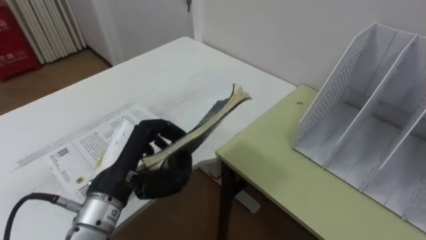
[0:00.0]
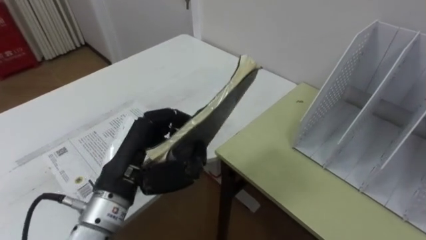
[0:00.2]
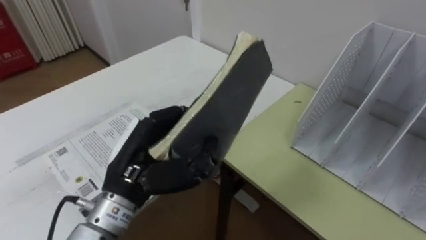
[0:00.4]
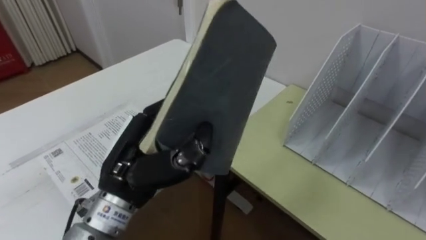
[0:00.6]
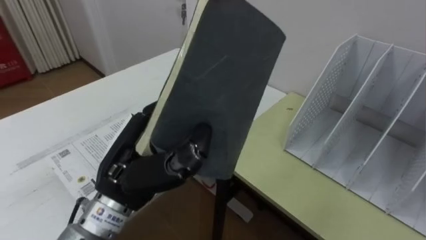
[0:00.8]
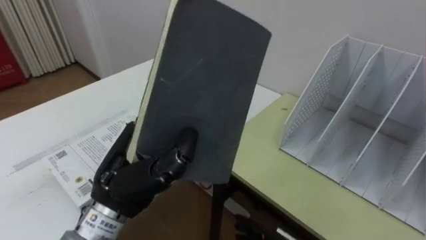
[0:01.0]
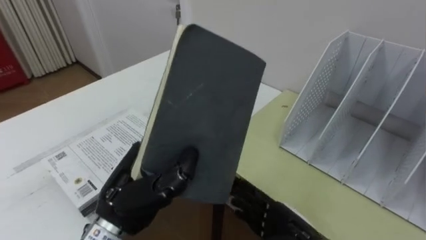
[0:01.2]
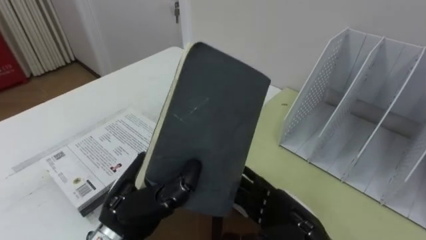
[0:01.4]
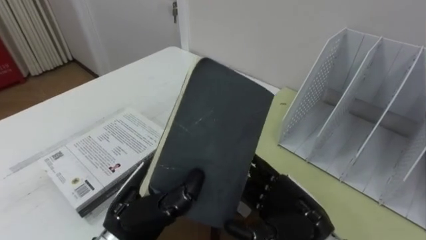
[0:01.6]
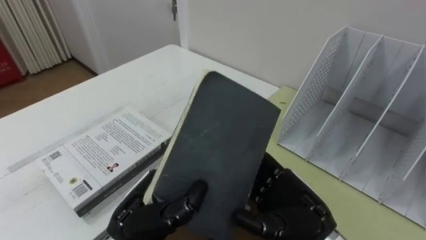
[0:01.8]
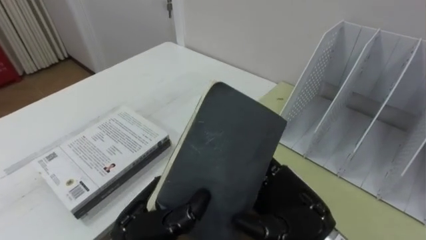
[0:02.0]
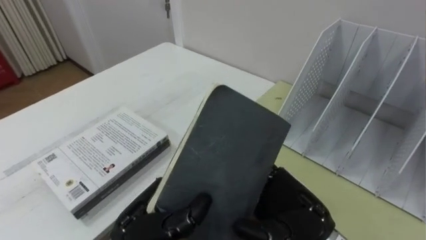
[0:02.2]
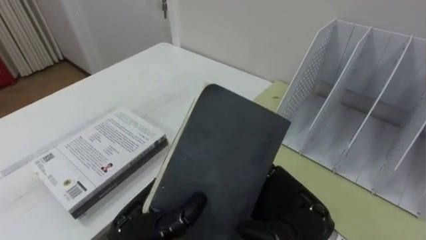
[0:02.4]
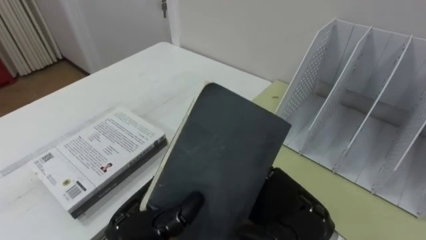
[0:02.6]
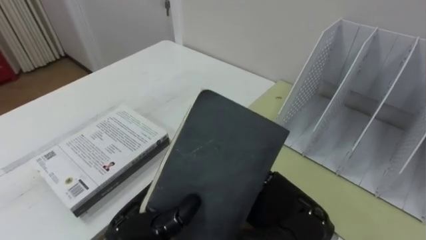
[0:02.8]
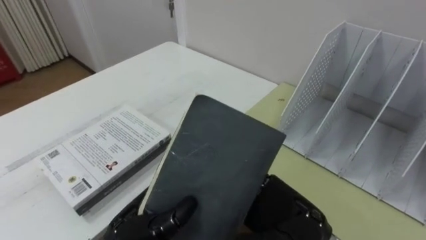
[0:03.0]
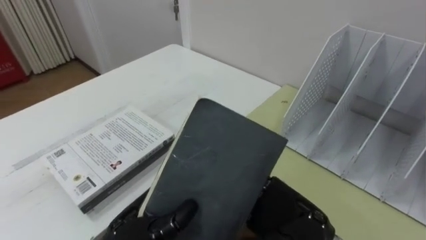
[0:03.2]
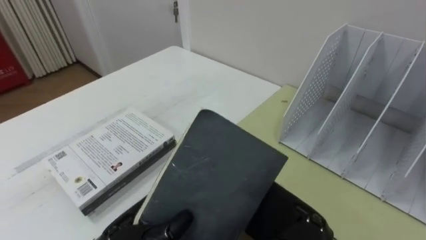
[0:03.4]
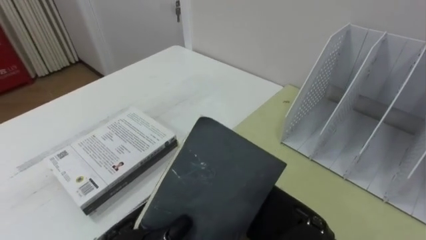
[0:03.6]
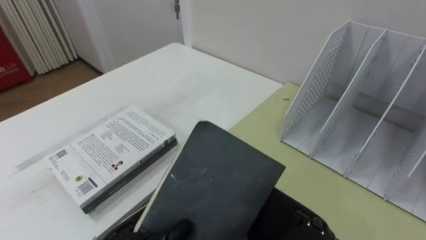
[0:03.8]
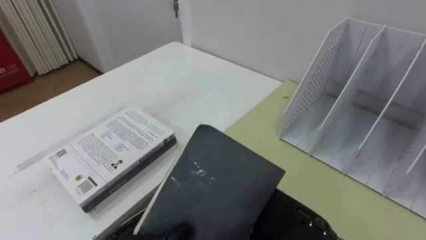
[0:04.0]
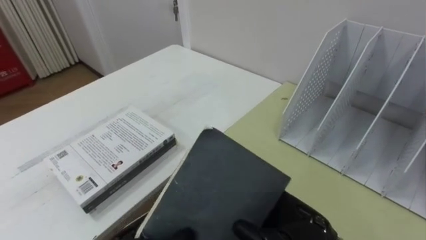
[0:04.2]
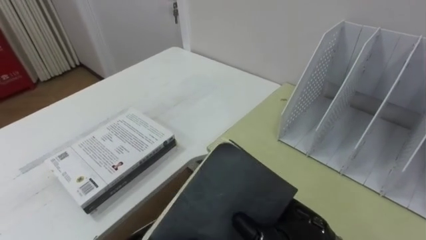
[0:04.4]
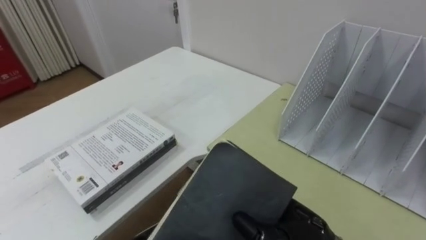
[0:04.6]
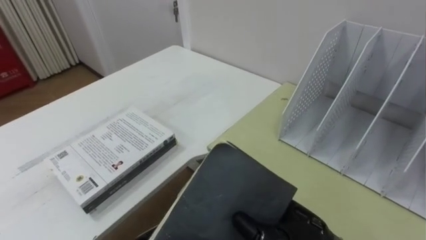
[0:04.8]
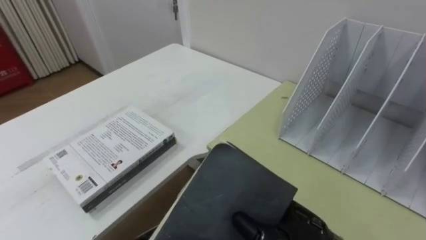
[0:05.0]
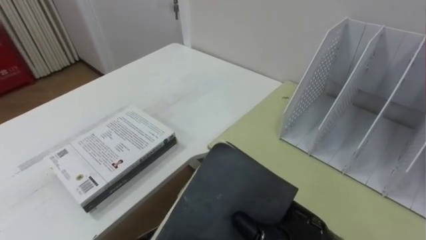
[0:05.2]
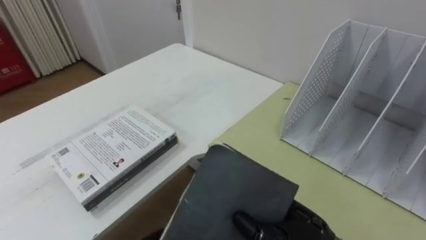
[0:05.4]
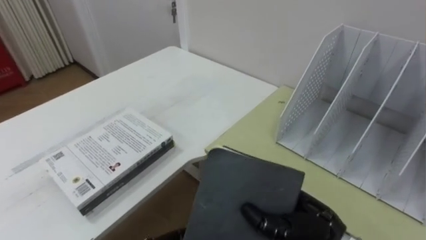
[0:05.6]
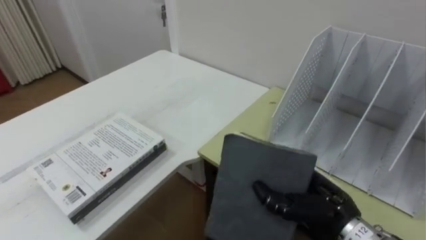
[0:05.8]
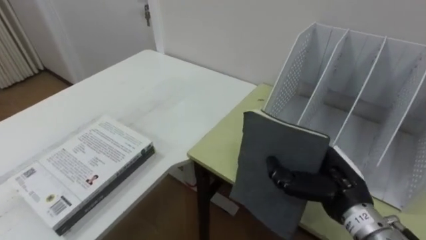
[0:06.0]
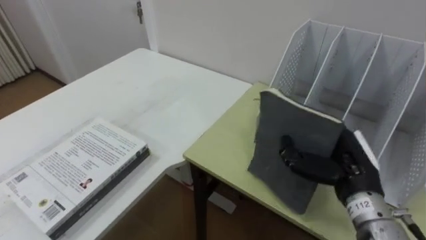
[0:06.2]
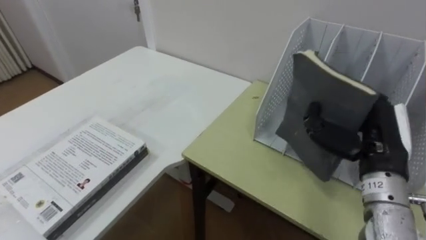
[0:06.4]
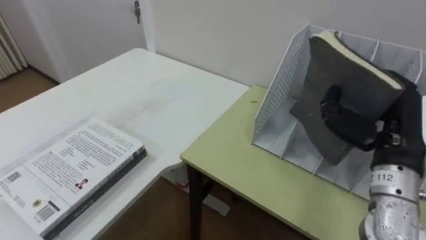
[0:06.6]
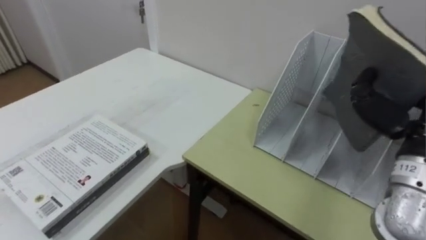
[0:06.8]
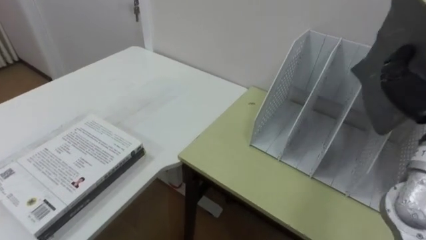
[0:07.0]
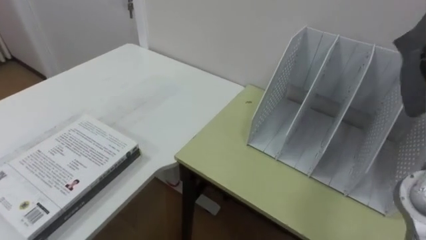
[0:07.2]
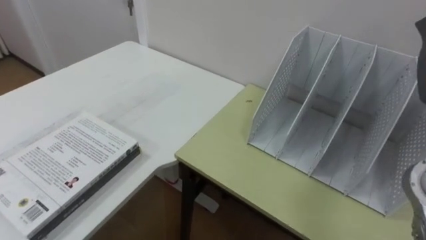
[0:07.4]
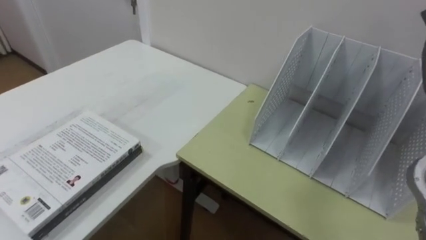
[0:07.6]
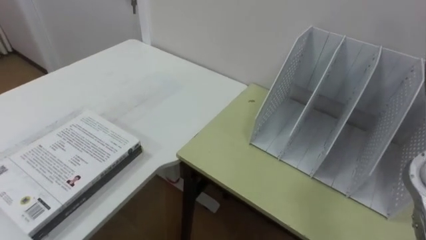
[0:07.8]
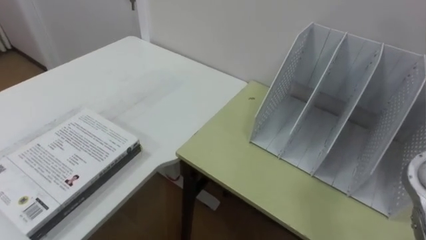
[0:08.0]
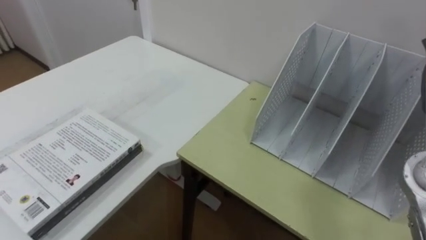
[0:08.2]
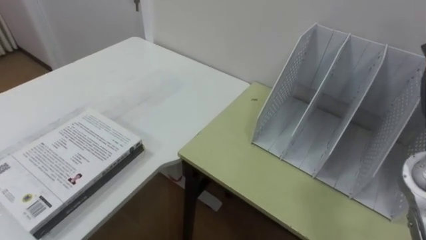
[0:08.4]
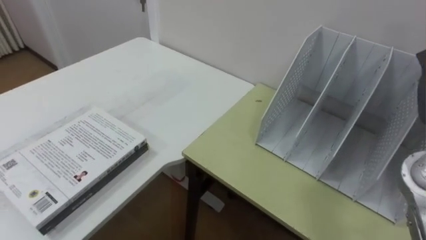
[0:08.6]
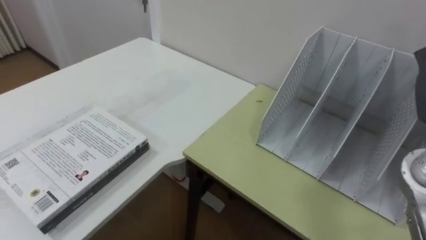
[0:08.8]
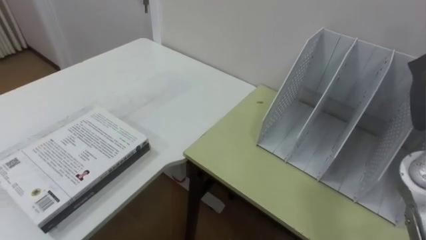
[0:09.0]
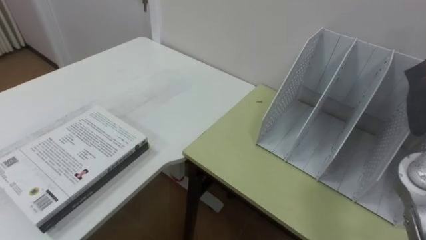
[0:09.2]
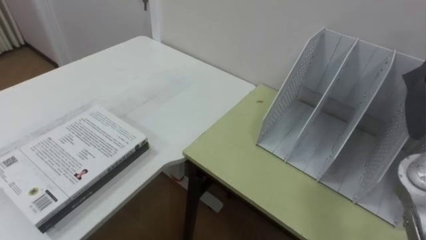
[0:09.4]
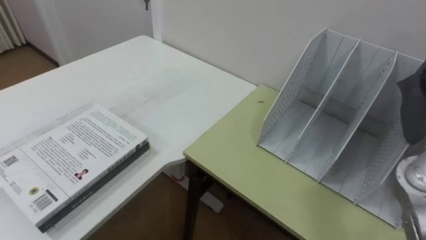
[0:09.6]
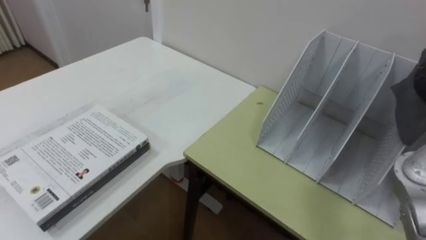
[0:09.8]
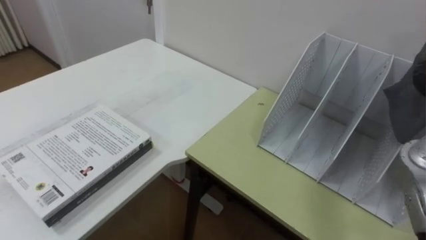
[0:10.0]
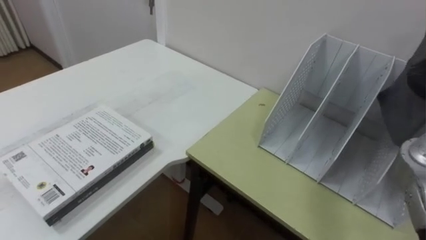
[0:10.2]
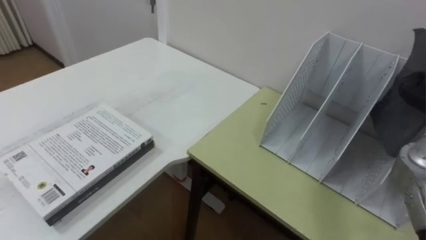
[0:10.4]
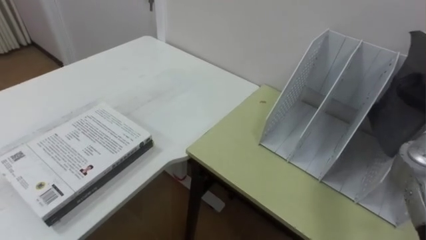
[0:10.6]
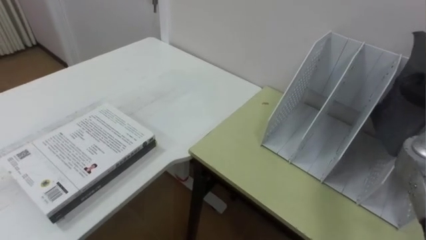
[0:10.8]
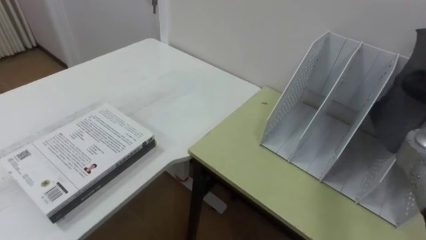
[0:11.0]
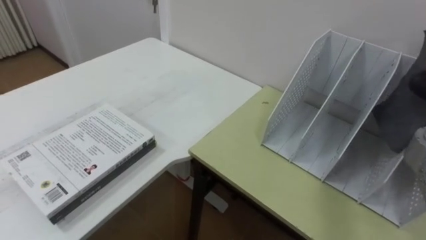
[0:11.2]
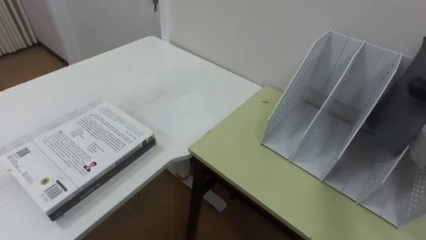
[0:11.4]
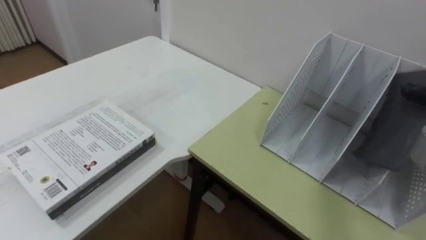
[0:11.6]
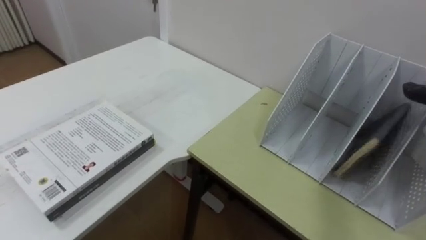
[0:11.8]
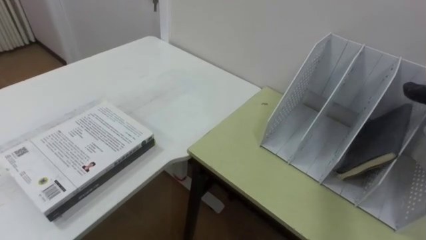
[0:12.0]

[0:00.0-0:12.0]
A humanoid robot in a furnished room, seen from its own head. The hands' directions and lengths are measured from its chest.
Task of the whole recording: Put the books on the table onto the bookshelf.
0:00.0 to 0:01.6: The left hand changes place by some 5 cm.
0:03.0 to 0:04.4: The right hand closes its fingers.
0:04.4 to 0:06.0: The right hand moves to the right and forward, about 10 cm.

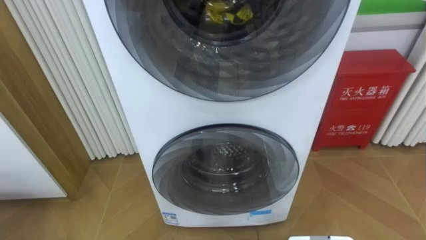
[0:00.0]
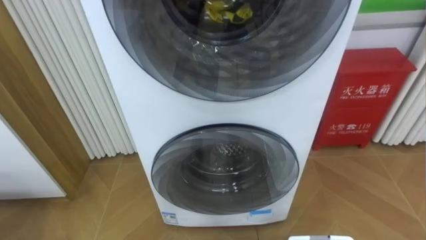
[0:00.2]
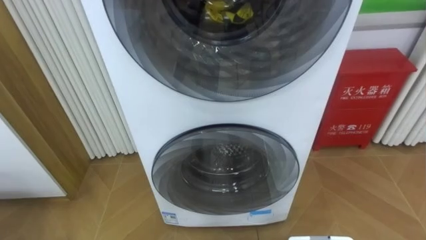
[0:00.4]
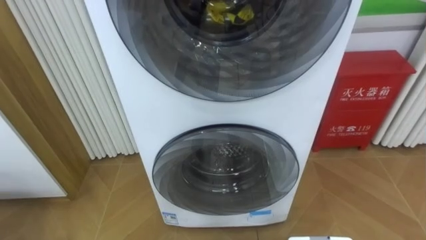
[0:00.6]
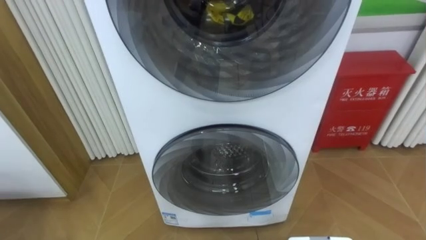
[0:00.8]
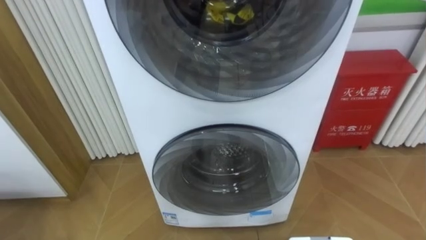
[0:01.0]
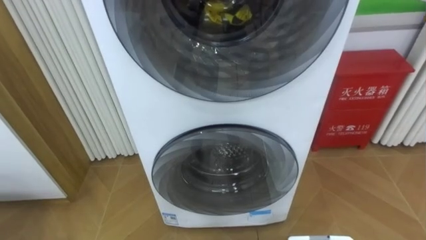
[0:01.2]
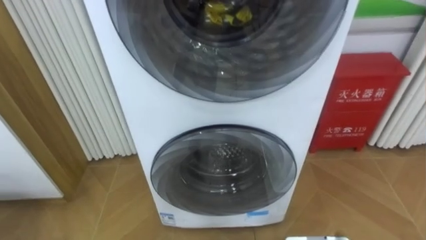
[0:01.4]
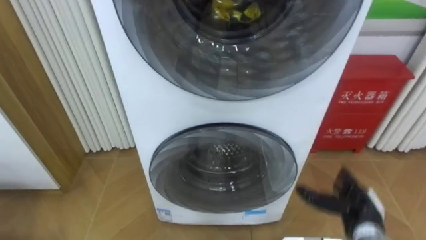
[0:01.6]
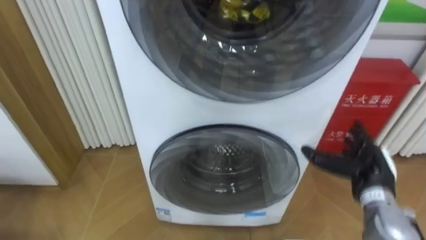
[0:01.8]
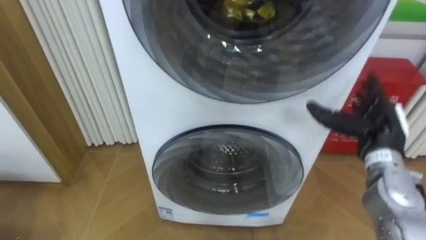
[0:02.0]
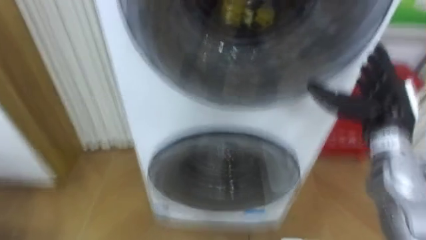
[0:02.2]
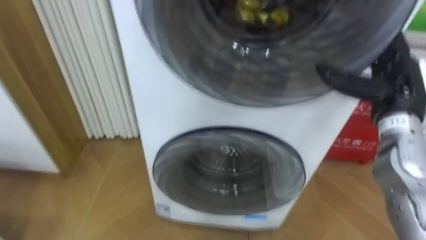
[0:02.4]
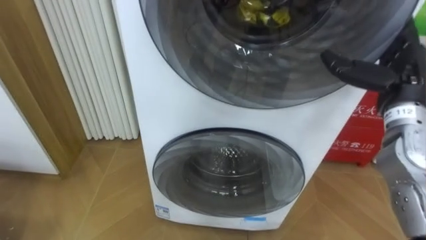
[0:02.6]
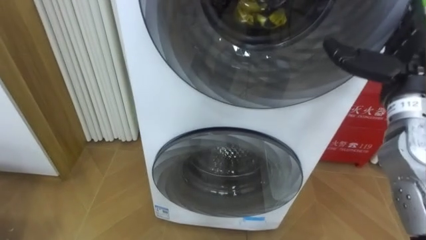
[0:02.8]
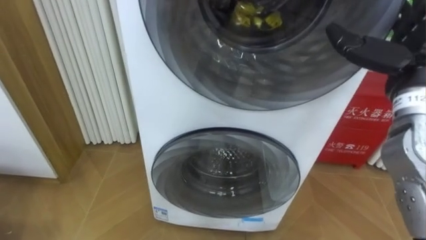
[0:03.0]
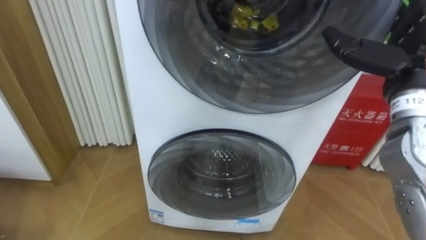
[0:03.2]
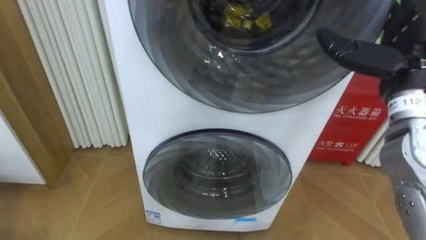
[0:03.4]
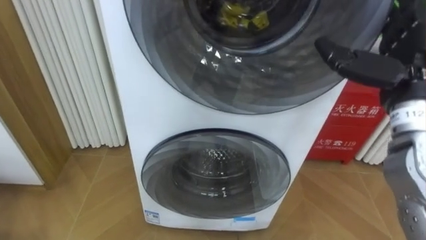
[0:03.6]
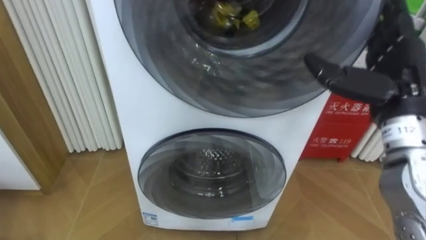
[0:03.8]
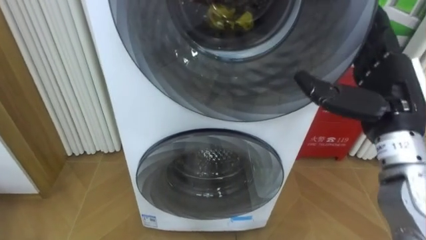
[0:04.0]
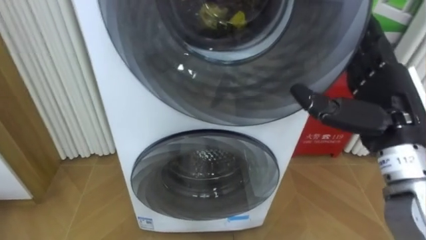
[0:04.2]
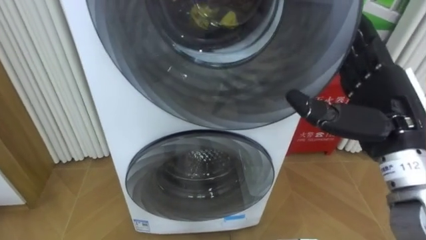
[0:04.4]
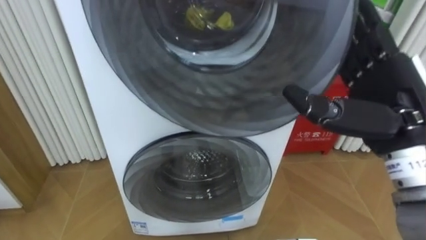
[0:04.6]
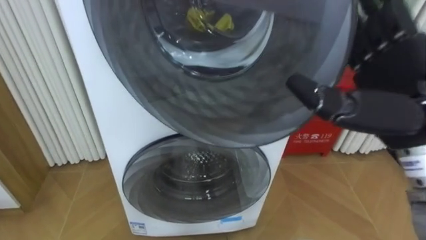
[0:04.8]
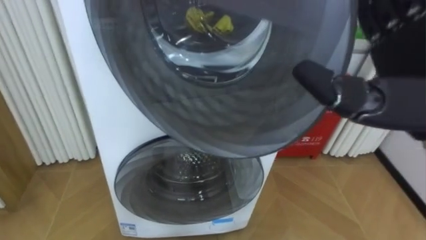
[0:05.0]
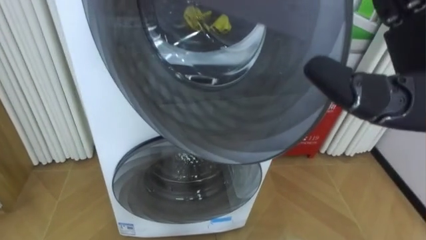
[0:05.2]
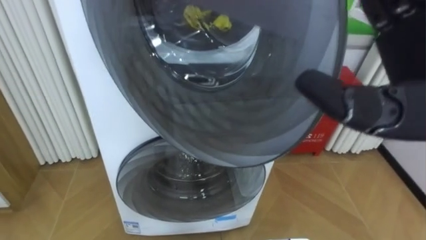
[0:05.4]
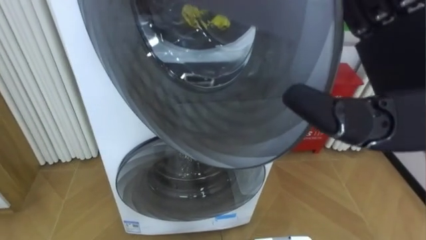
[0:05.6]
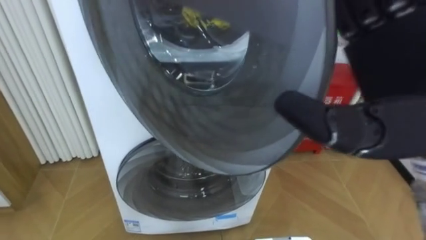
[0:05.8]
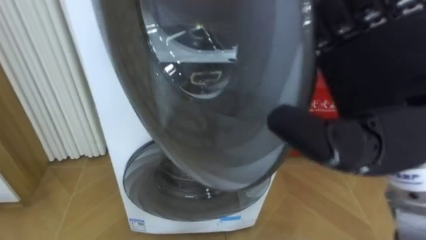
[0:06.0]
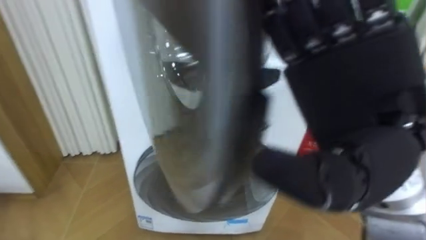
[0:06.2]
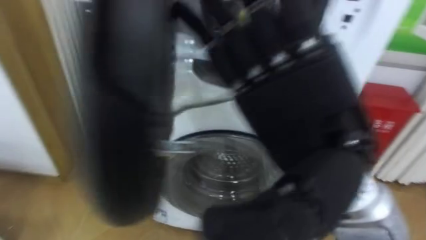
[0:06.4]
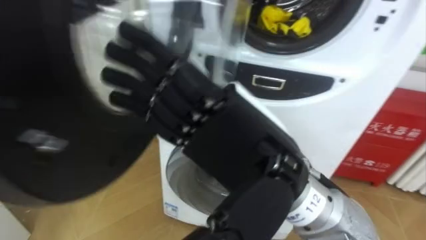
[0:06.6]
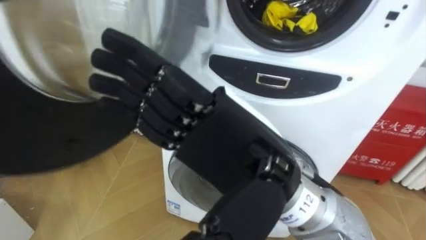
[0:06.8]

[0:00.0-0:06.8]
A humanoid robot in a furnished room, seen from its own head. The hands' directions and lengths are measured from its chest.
Task of the whole recording: Open the washing machine door, take out the yellow clothes, place them in the box on the right, and close the washing machine door.
0:02.8 to 0:04.0: The right hand changes place by approximately 5 cm.
